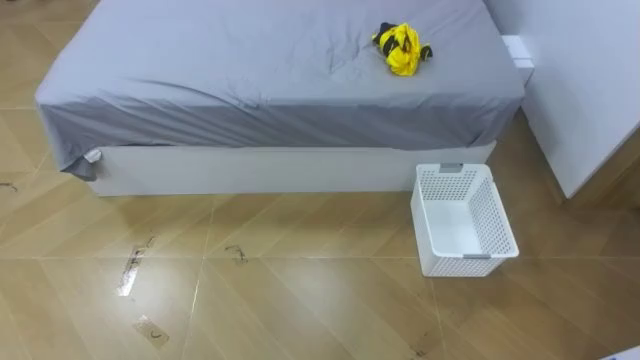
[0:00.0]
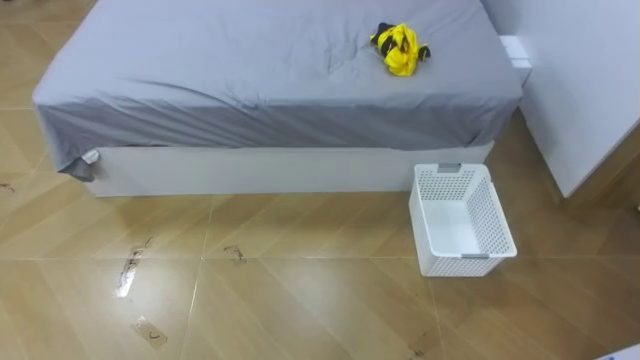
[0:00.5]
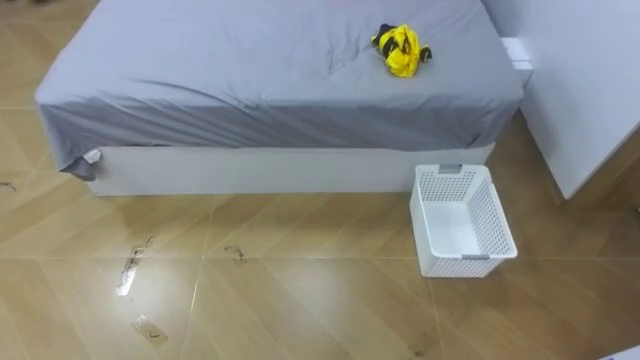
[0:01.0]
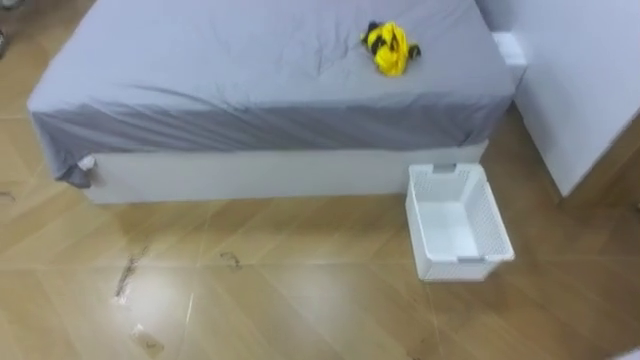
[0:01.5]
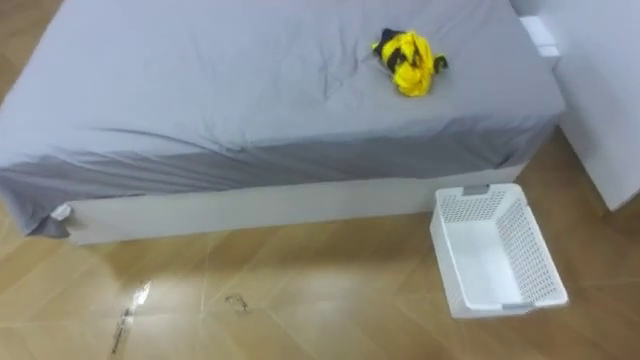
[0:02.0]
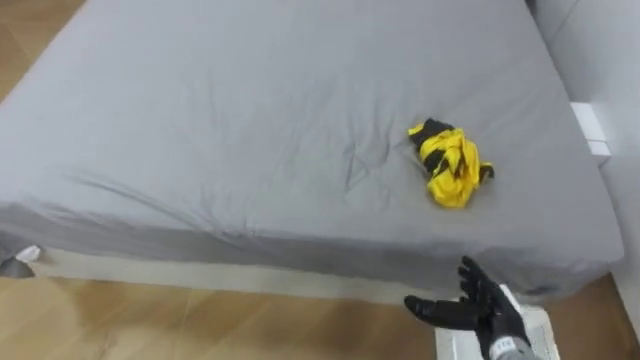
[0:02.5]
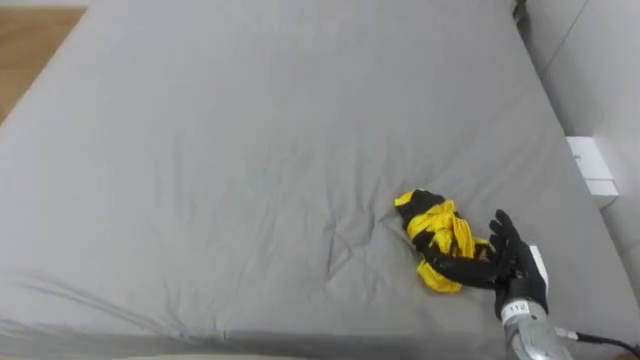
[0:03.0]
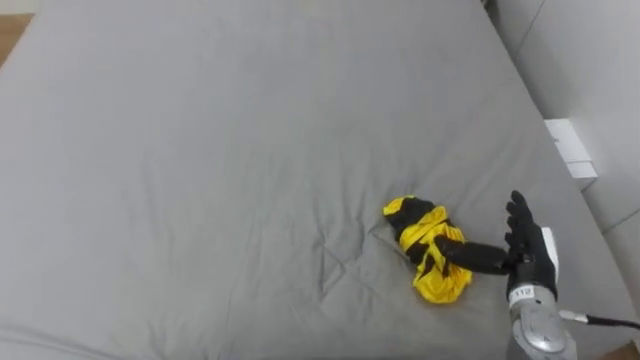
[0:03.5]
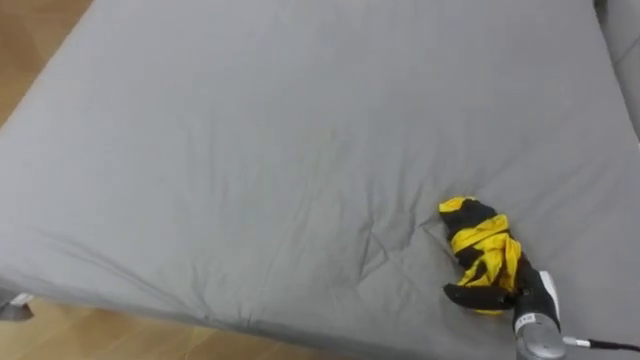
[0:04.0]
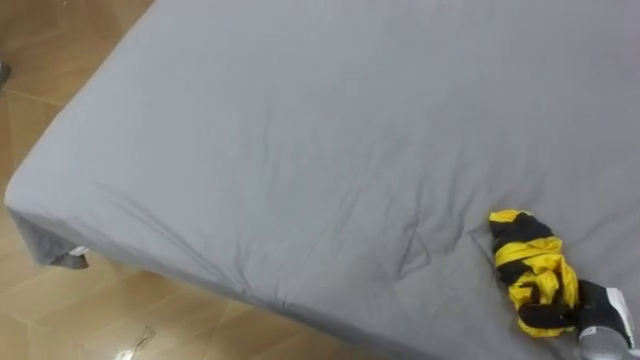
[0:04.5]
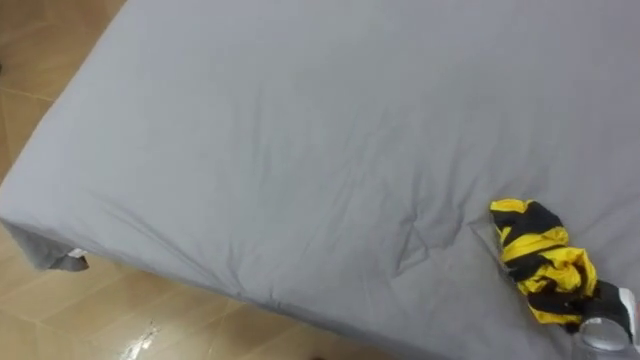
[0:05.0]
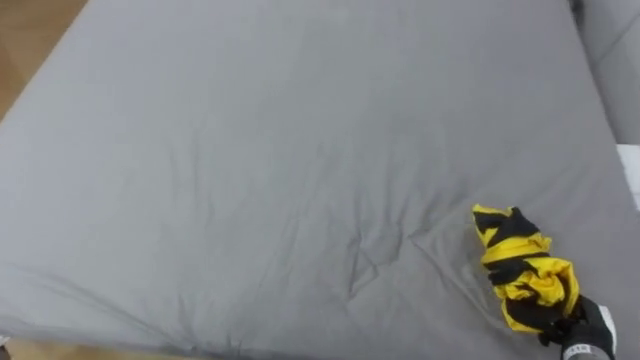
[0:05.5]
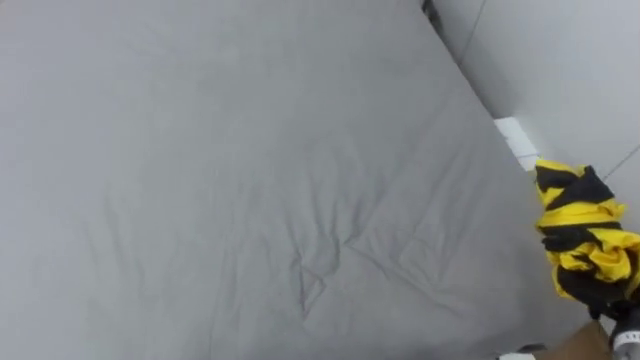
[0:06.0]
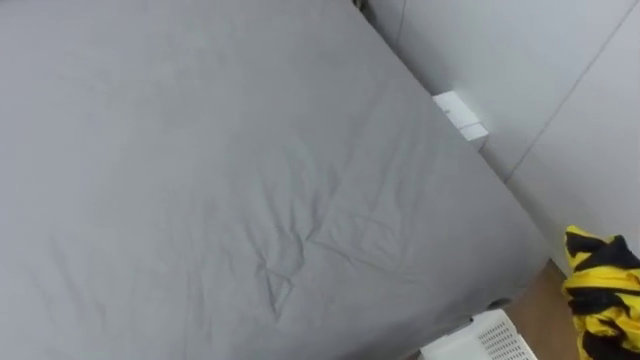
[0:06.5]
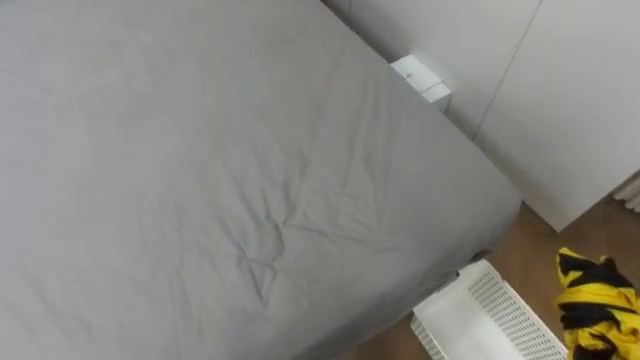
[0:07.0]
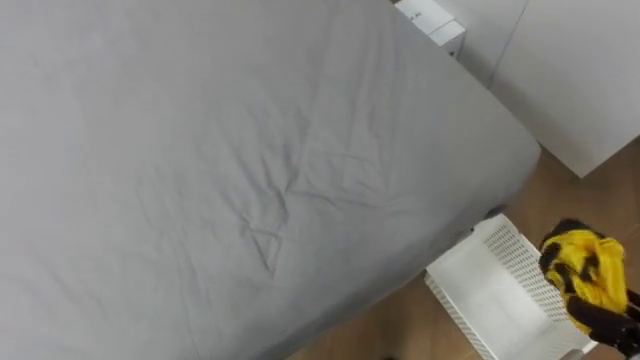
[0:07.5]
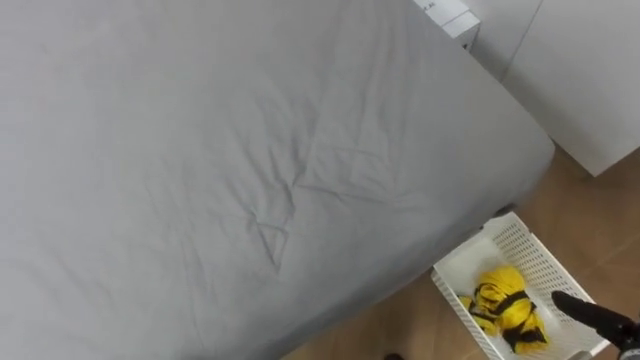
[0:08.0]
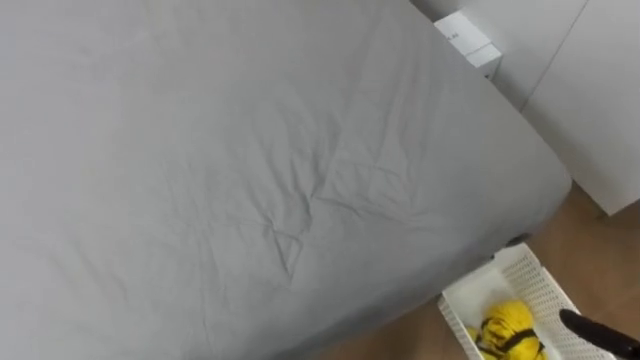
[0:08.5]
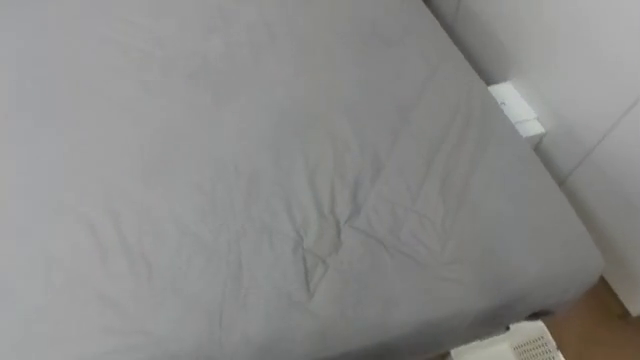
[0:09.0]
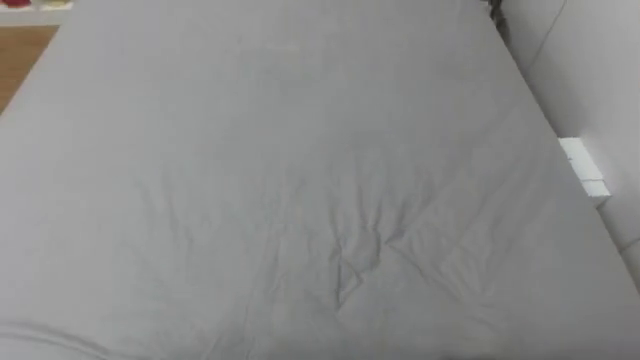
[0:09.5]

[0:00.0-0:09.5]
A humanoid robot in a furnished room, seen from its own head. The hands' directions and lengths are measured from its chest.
Task of the whole recording: Pick up the yellow clothes on the bed and place them into the white basket on the right.
0:04.0 to 0:05.5: The right hand is displaced to the right by about 5 cm, and closes.

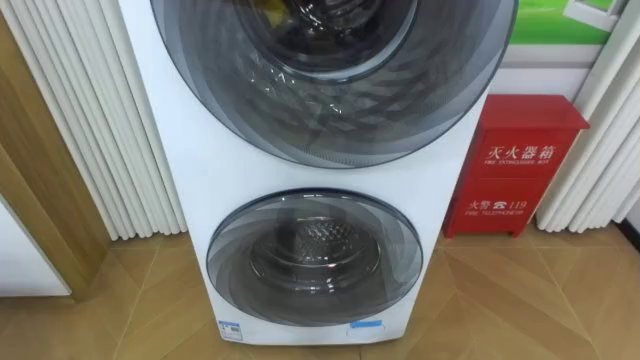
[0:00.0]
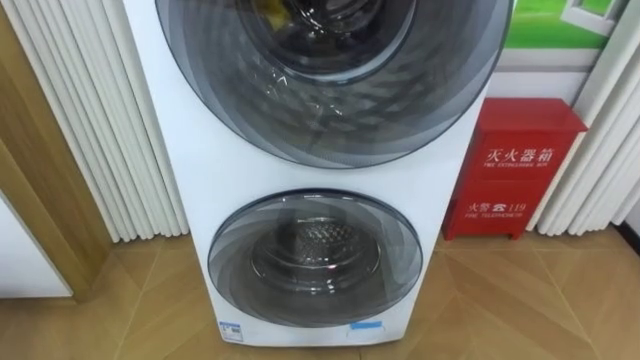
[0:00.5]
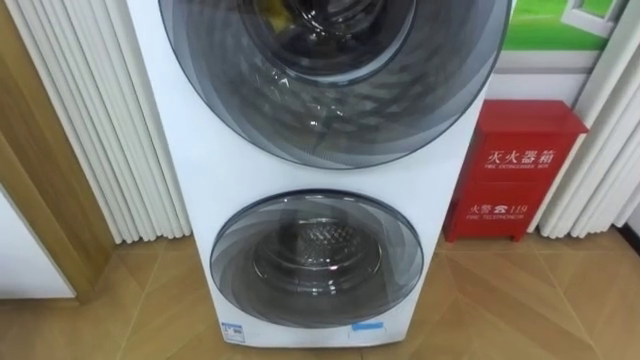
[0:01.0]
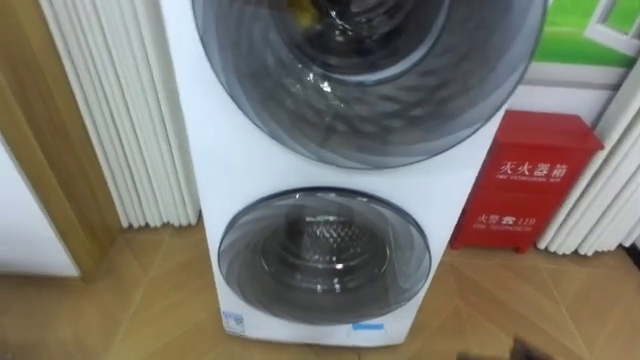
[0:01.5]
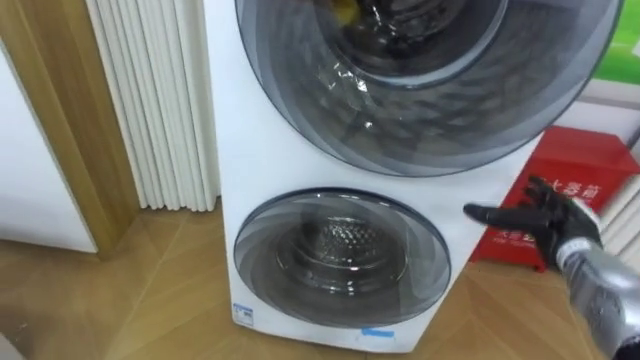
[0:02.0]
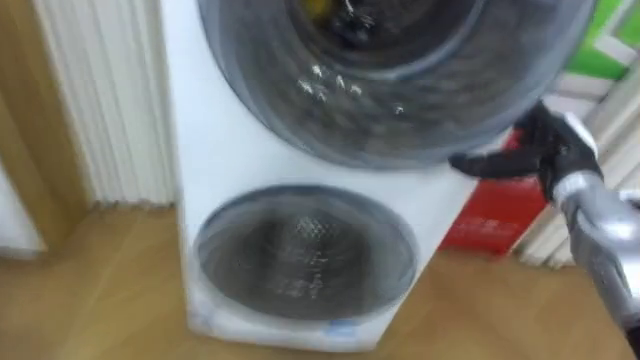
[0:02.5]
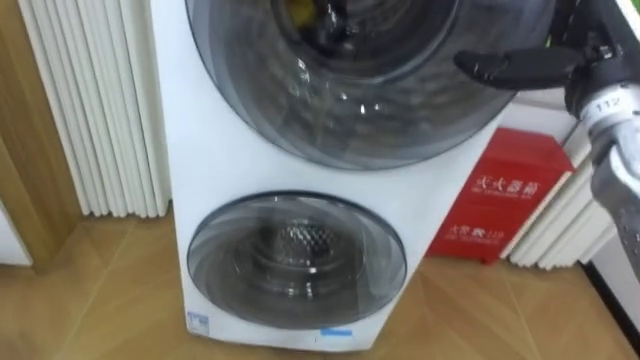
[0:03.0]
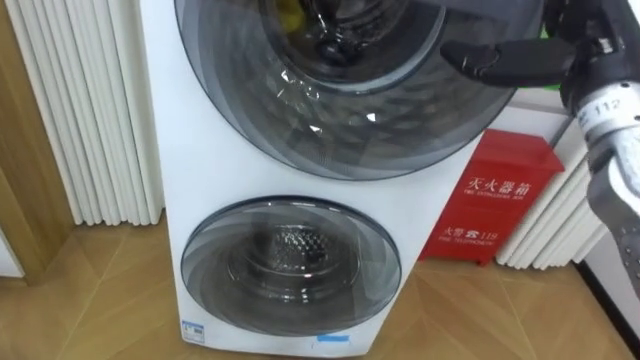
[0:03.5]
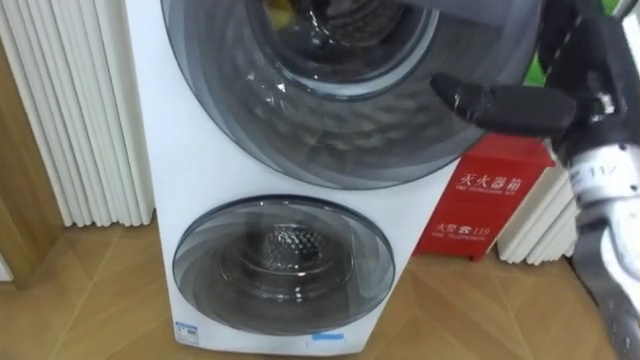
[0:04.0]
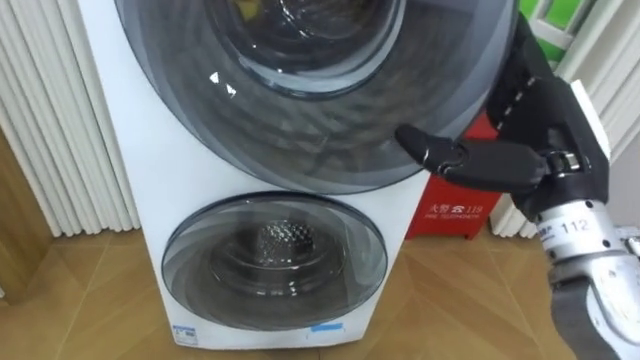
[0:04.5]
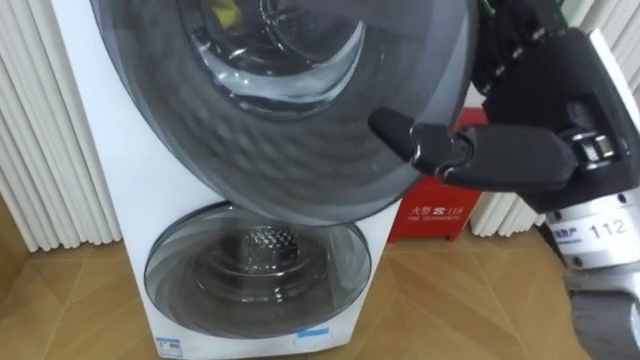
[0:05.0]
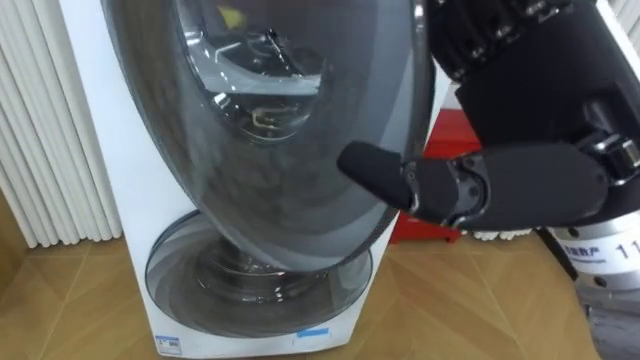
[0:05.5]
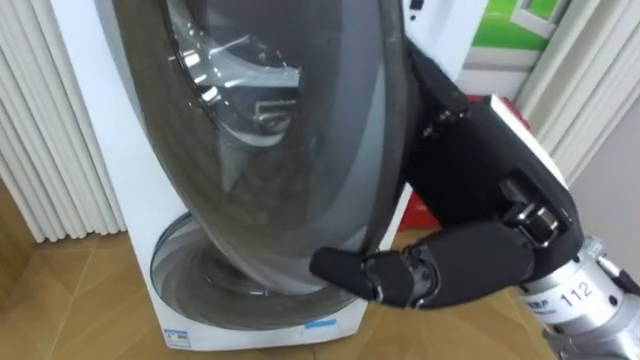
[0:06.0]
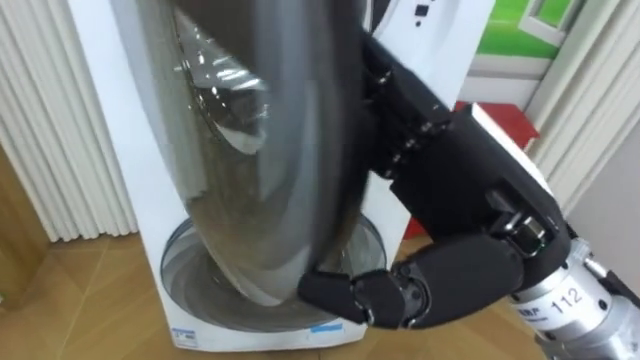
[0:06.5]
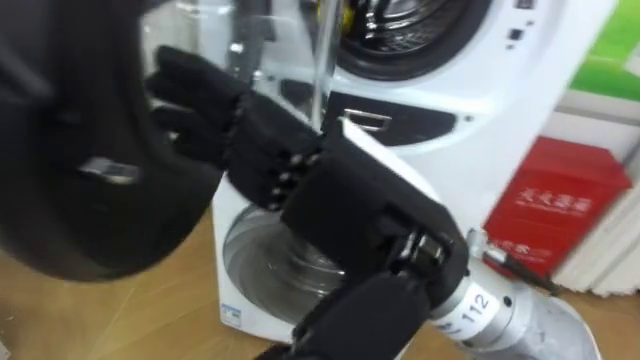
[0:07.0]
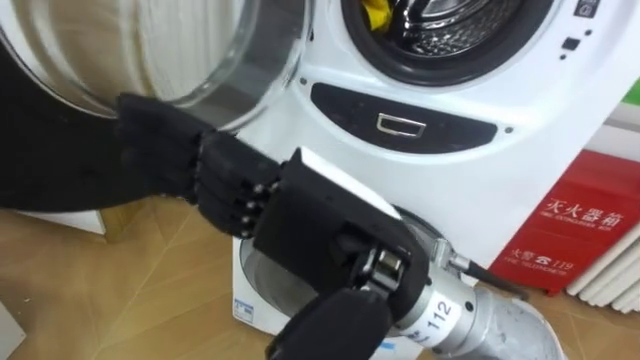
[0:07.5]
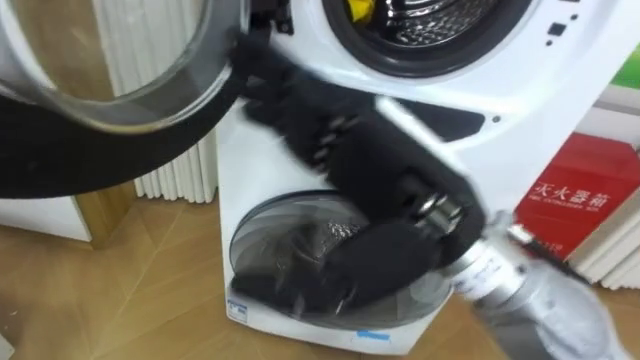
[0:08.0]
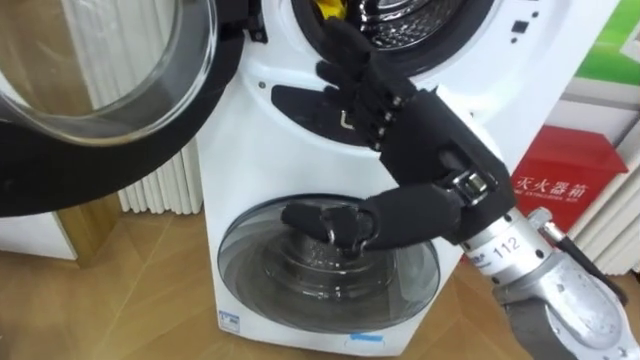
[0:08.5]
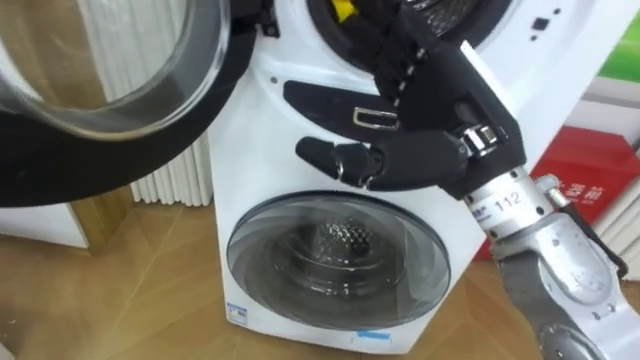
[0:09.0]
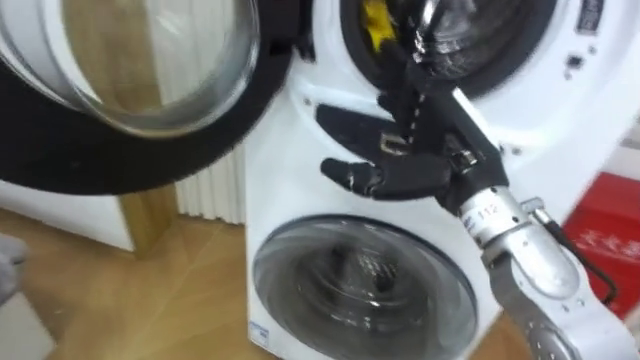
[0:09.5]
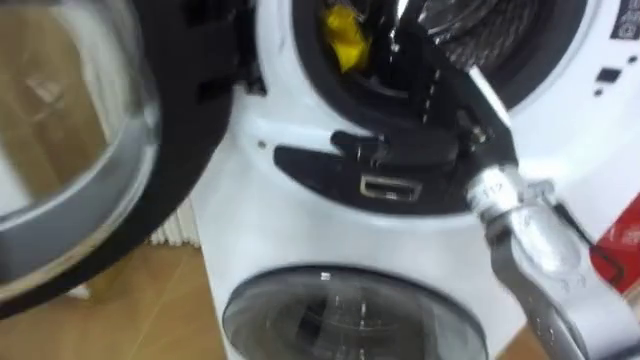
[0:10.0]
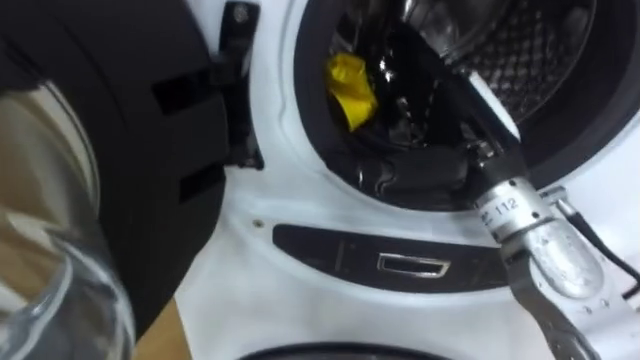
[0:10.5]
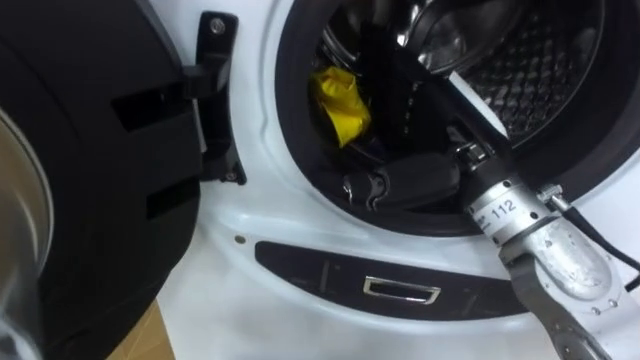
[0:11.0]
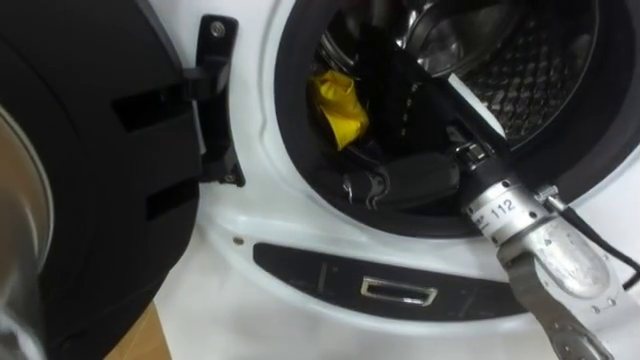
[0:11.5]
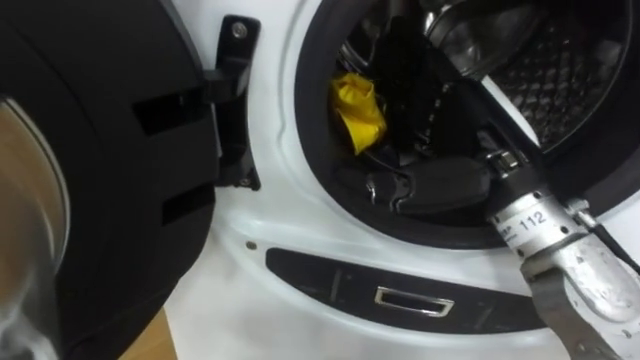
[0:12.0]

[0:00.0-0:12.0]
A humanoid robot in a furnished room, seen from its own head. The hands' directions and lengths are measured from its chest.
Task of the whole recording: Open the washing machine door, take out the yellow clothes, place them in the box on the right, and close the washing machine door.
0:02.0 to 0:04.0: The right hand is displaced upward by roughly 25 cm.
0:04.0 to 0:06.0: The right hand shifts approximately 15 cm to the left and backward.
0:06.0 to 0:08.0: The right hand moves to the left, some 5 cm.
0:08.0 to 0:10.0: The right hand is displaced forward and to the right by roughly 15 cm.
